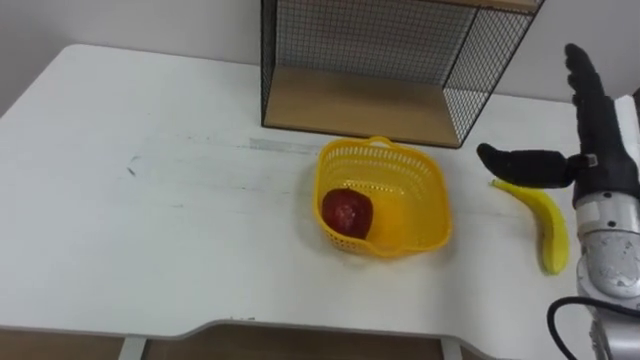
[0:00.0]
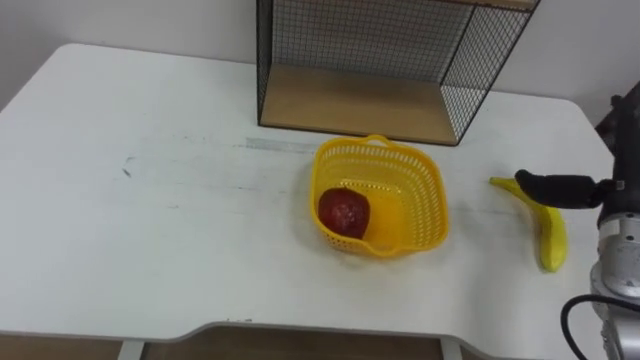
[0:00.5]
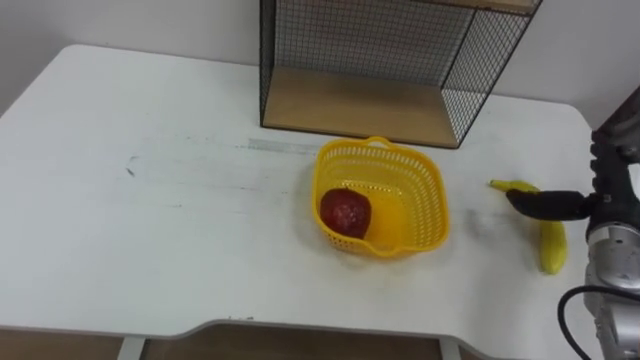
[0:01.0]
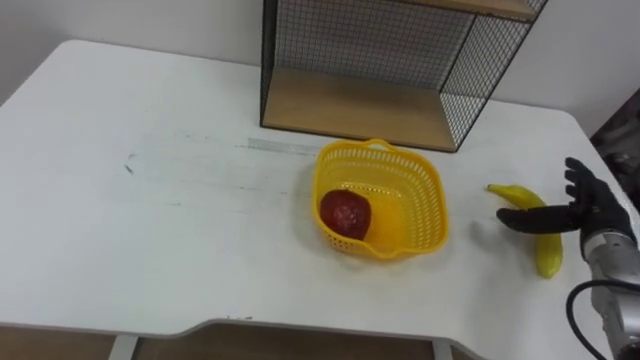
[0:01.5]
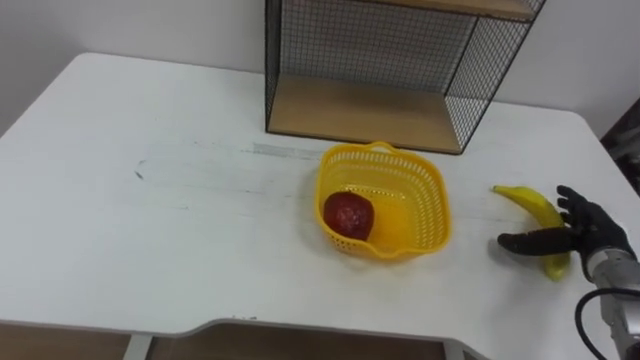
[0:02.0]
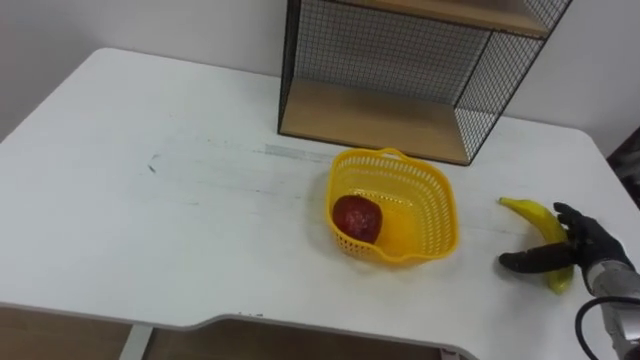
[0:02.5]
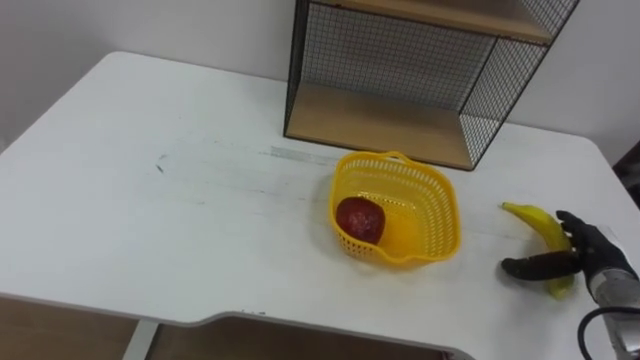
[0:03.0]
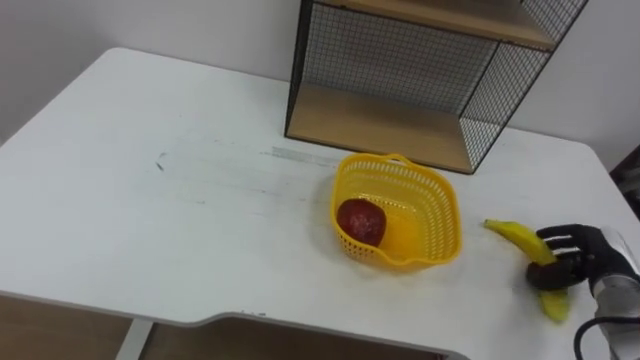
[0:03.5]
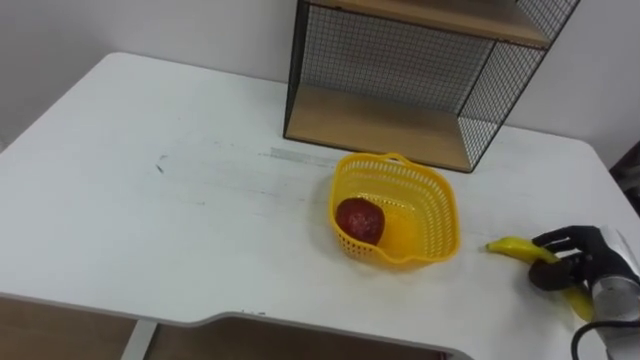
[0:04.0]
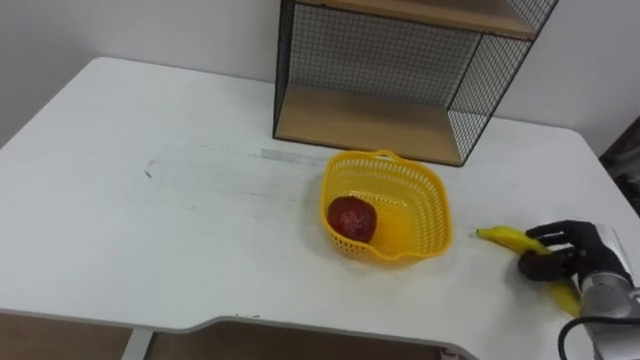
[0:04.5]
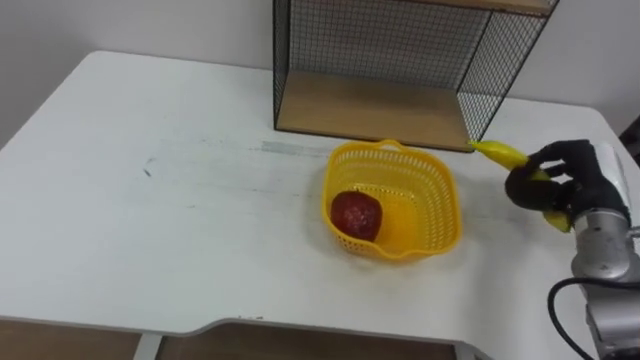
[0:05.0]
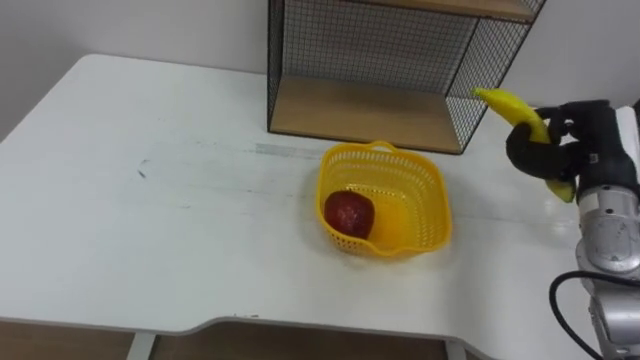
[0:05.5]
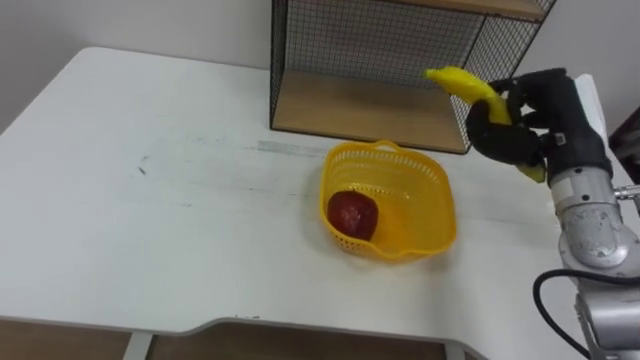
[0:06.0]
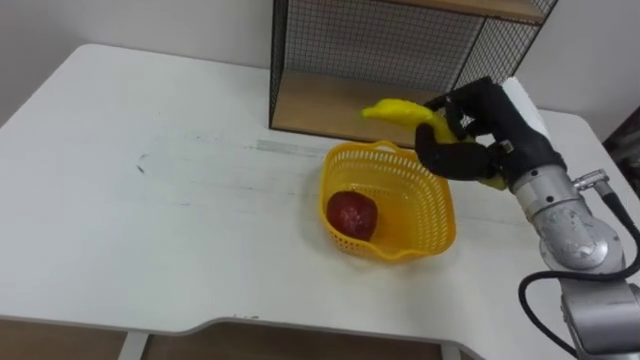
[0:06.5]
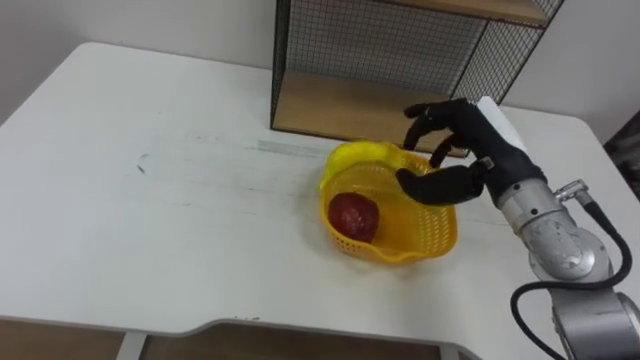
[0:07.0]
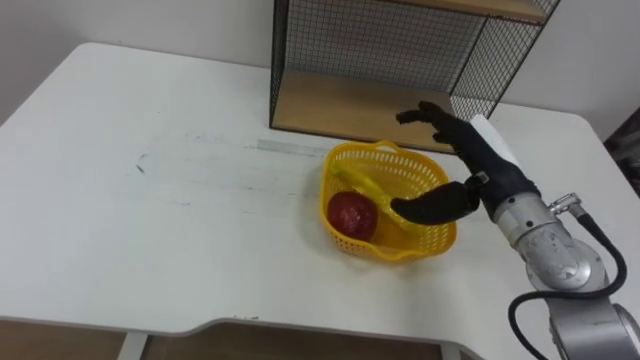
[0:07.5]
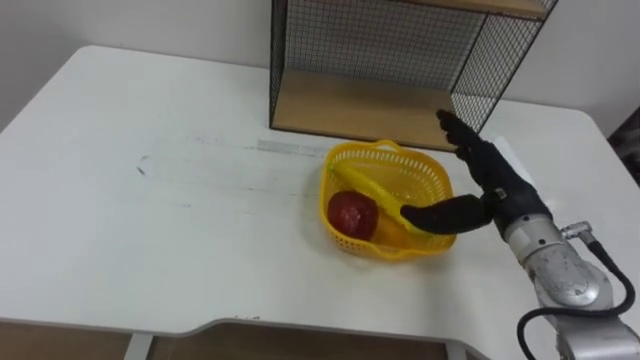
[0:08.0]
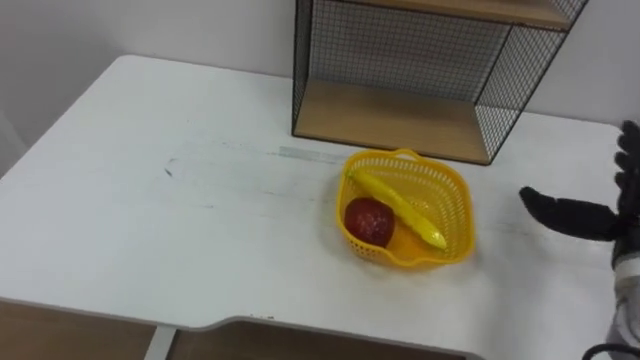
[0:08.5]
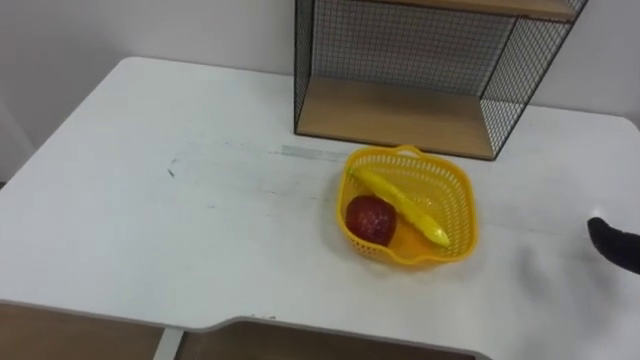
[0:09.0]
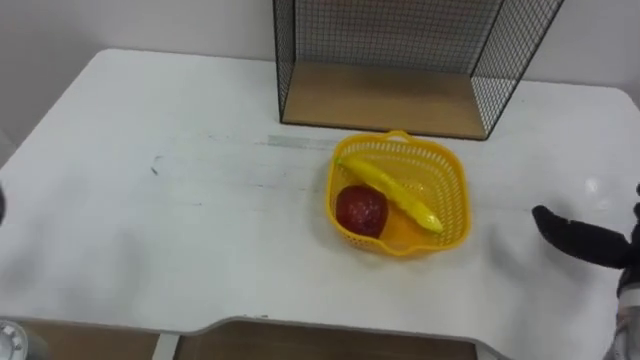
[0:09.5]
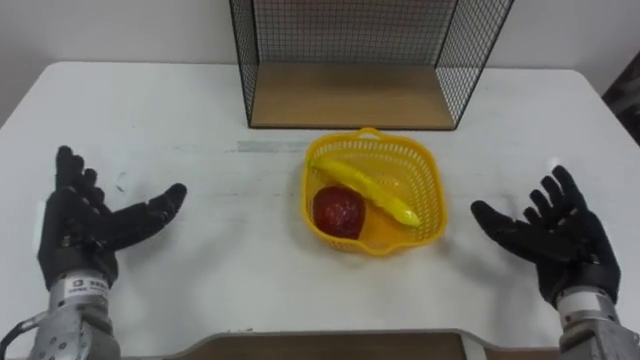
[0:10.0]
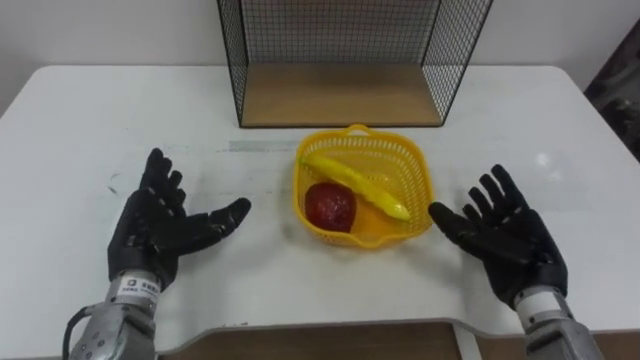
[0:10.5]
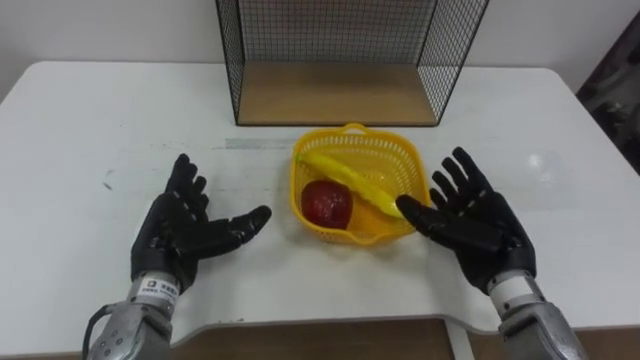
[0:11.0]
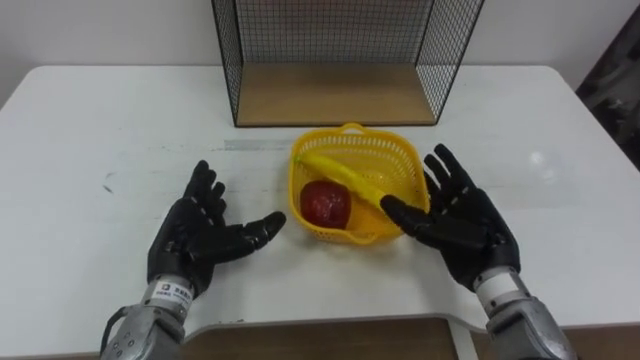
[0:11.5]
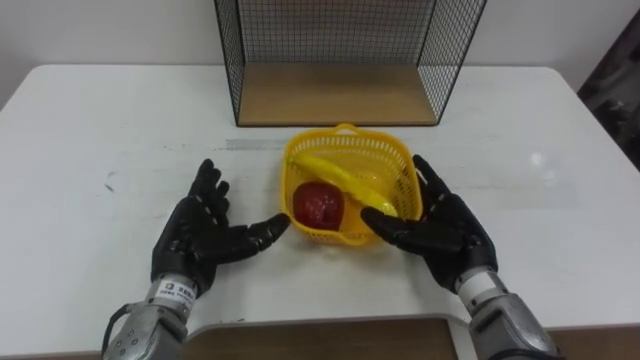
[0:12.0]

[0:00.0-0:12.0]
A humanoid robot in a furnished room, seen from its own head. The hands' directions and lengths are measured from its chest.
Task of the whole recording: Put the fruit on the table into the basket, then place the basket on the shelf.
0:00.0 to 0:02.0: The right hand goes about 20 cm downward and to the right.
0:02.0 to 0:04.0: The right hand closes its fingers.
0:04.0 to 0:06.0: The right hand goes some 20 cm upward and to the left.
0:06.0 to 0:08.0: The right hand goes some 10 cm downward and to the left, and opens its fingers.
0:10.0 to 0:12.0: The right hand travels to the left by about 15 cm, while the left hand moves to the right, roughly 10 cm.

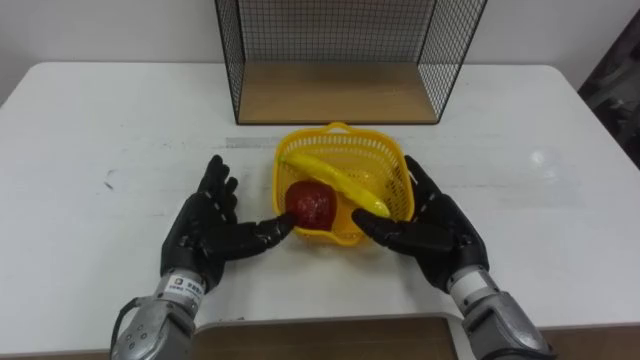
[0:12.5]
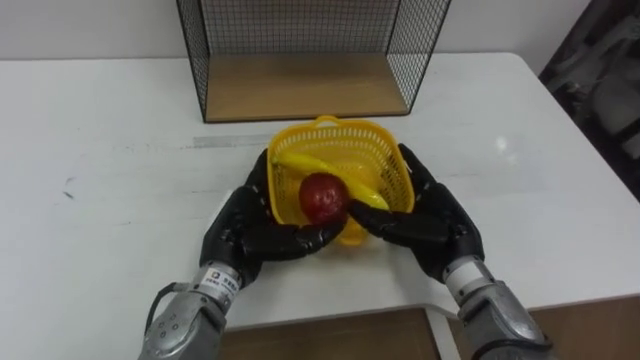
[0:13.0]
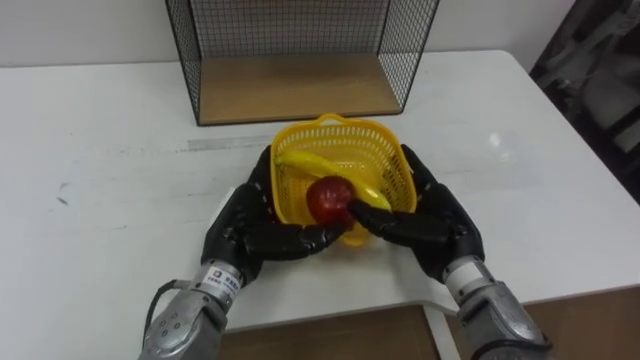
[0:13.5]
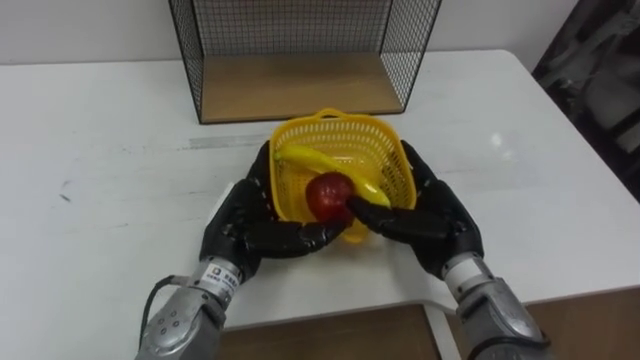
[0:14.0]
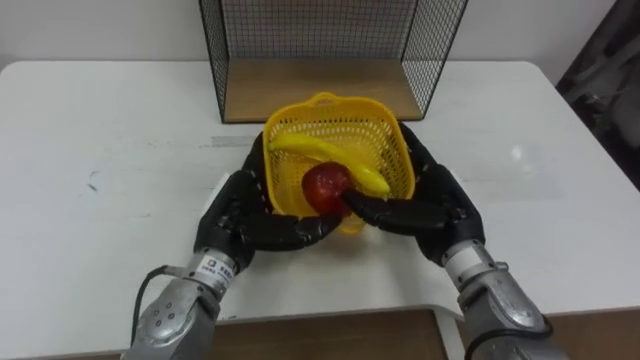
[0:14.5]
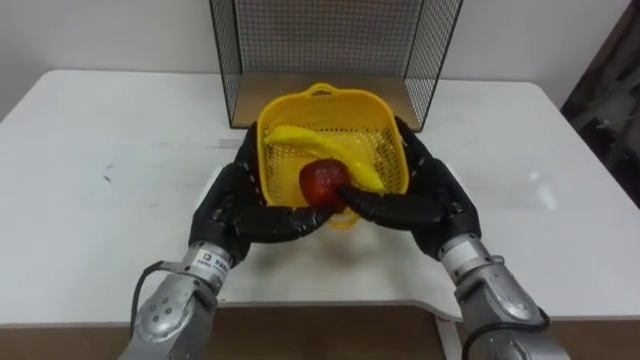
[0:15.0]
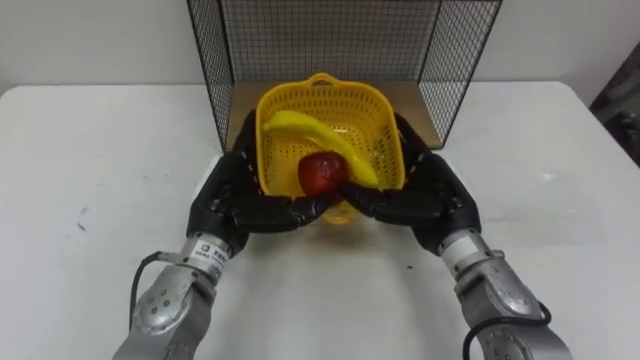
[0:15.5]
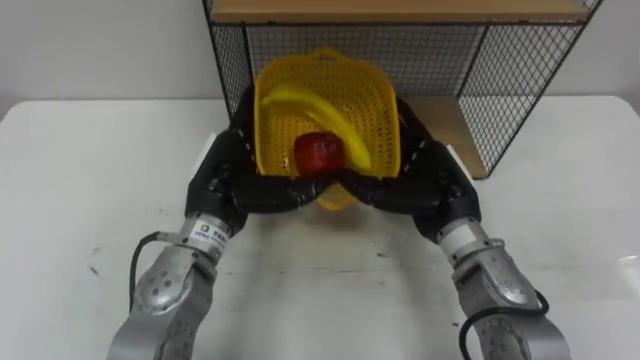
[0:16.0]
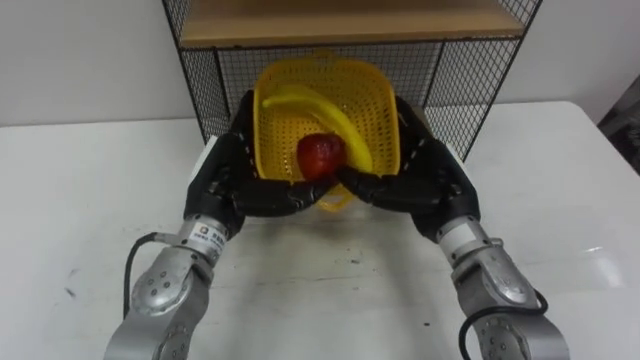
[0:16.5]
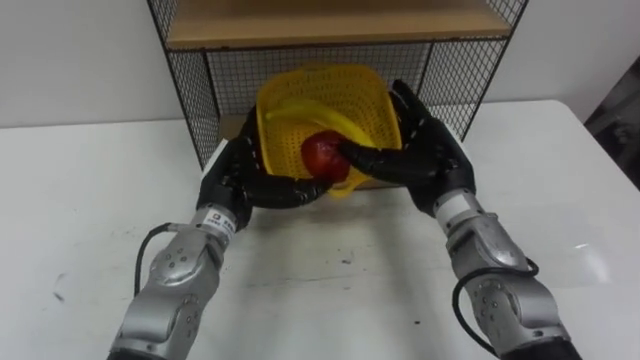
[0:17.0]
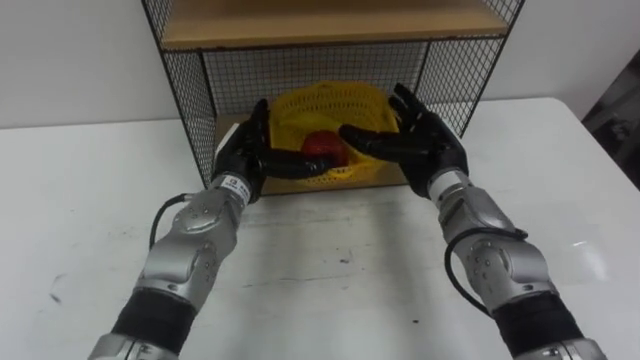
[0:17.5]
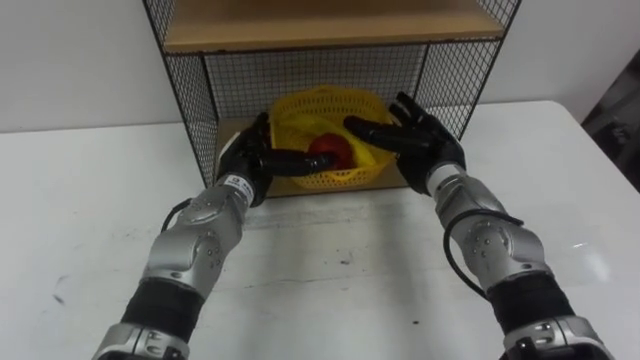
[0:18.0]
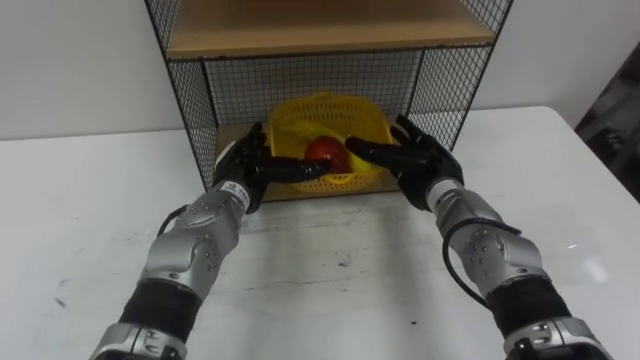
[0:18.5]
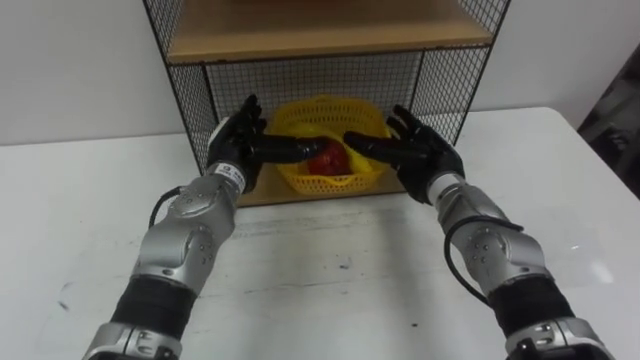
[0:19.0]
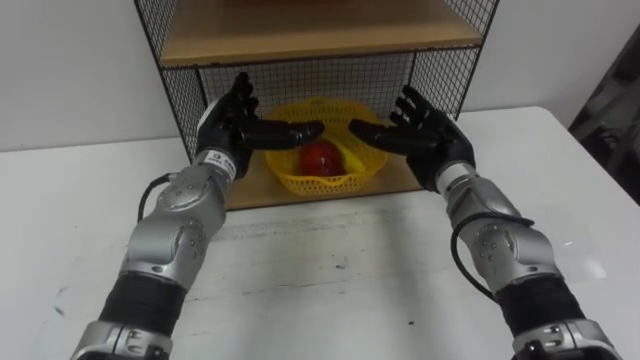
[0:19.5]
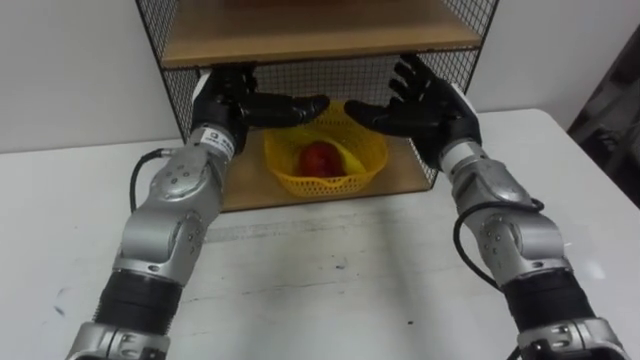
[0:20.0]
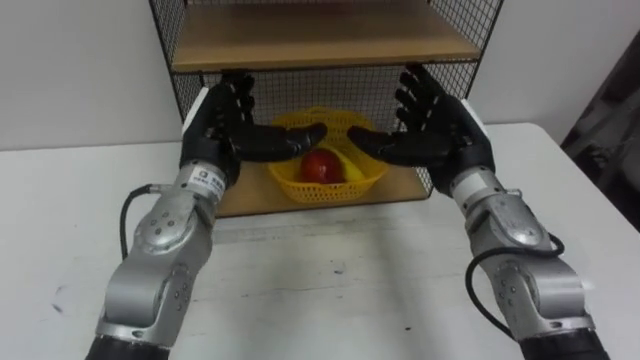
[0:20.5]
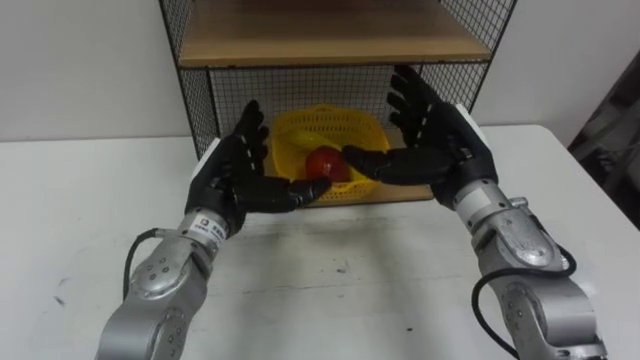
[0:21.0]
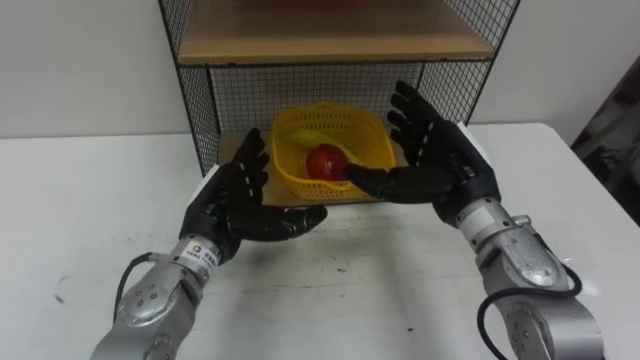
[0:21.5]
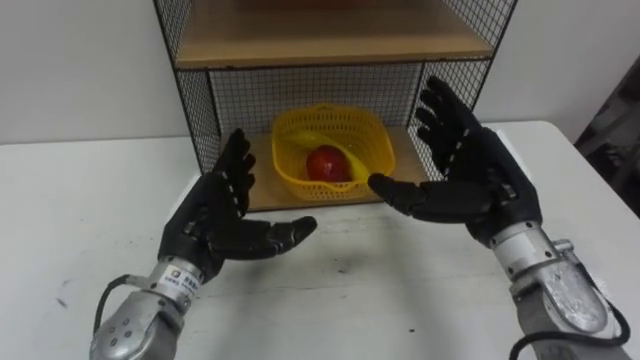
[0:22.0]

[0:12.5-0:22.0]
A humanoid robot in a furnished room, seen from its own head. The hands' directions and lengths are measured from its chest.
Task of the whole recording: Put the fruit on the table into the basket, then place the basket on the shelf.
0:12.5 to 0:14.5: The left hand ends up roughly 5 cm from where it was.
0:16.5 to 0:18.0: Both hands move forward, roughly 5 cm.
0:18.0 to 0:20.0: The left hand heads upward, covering about 10 cm.
0:20.0 to 0:22.0: The right hand heads backward, covering roughly 10 cm. Meanwhile the left hand heads backward and downward, covering roughly 15 cm.
